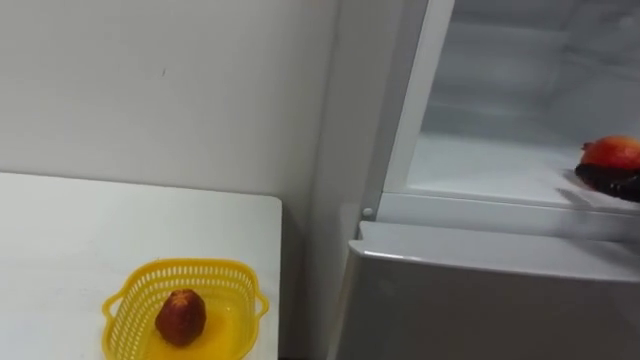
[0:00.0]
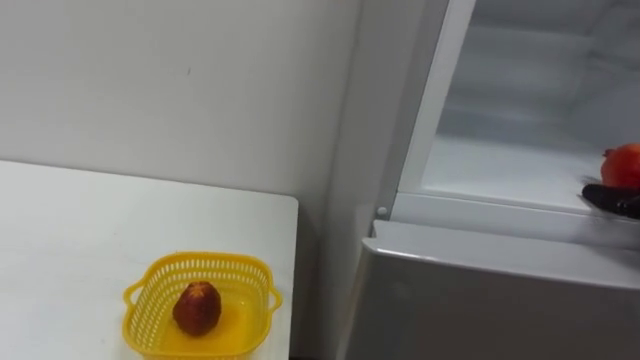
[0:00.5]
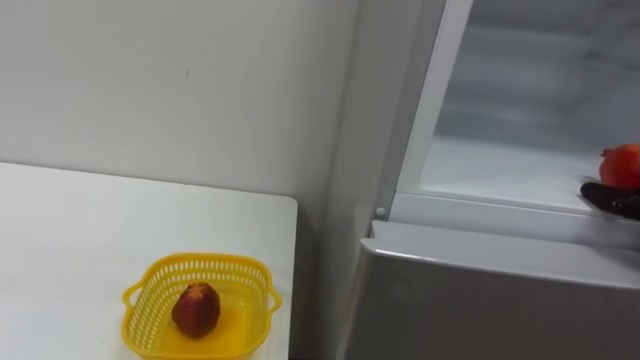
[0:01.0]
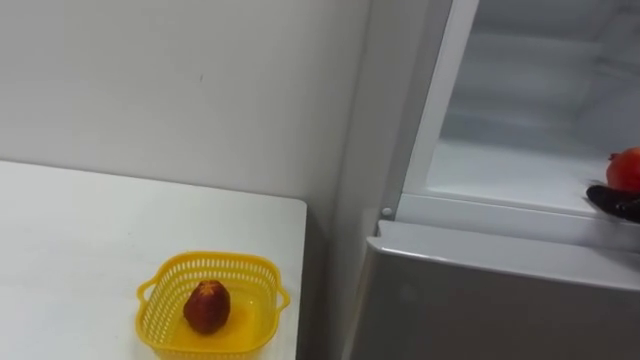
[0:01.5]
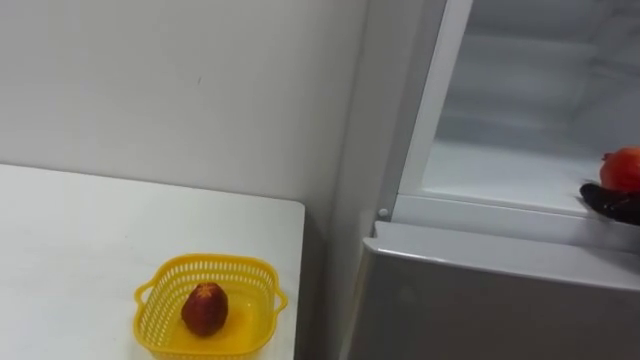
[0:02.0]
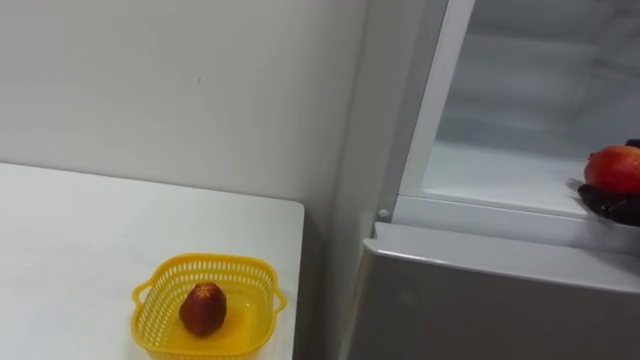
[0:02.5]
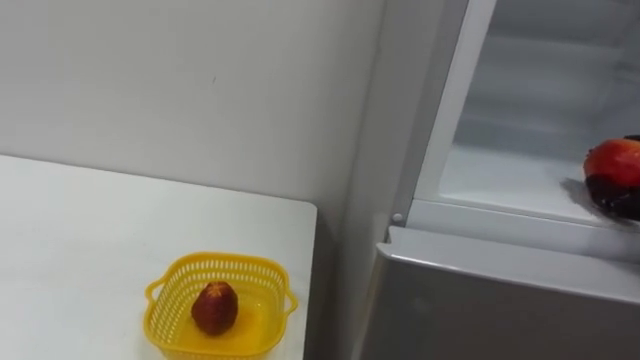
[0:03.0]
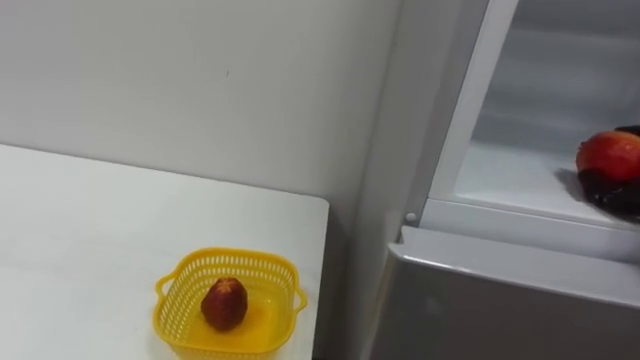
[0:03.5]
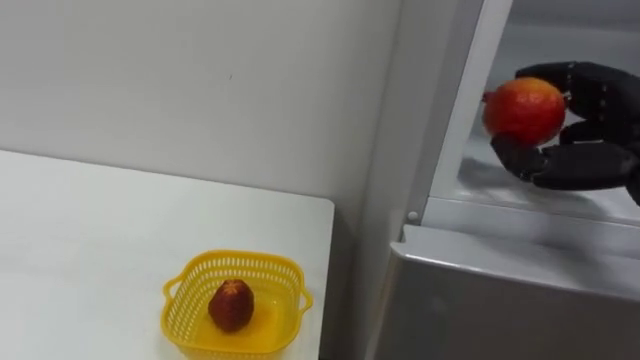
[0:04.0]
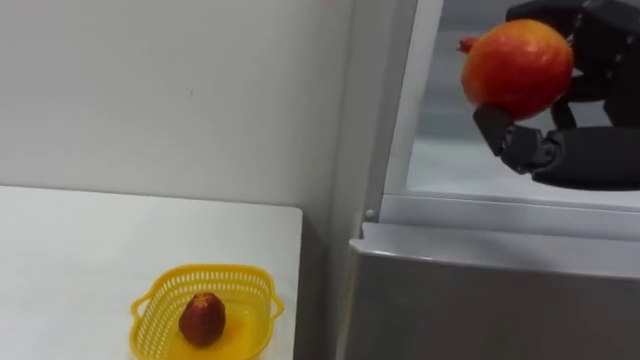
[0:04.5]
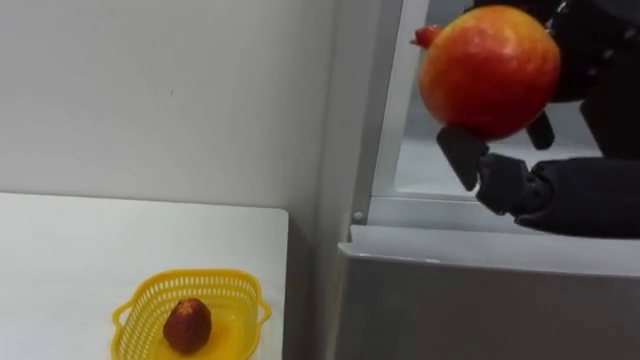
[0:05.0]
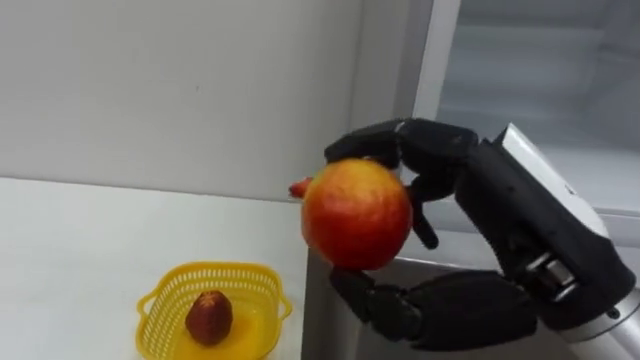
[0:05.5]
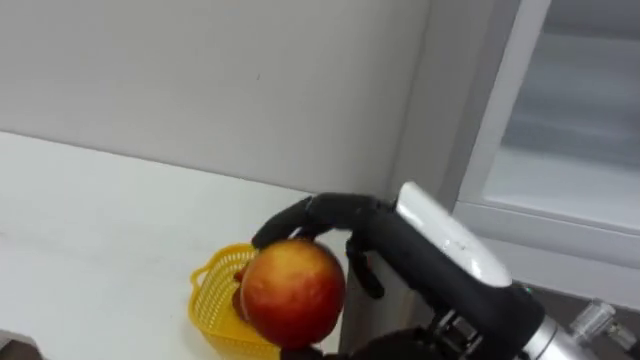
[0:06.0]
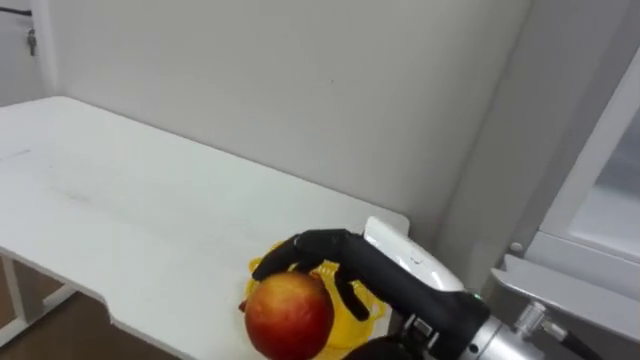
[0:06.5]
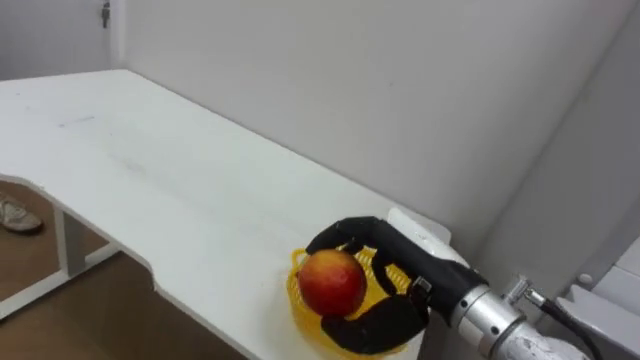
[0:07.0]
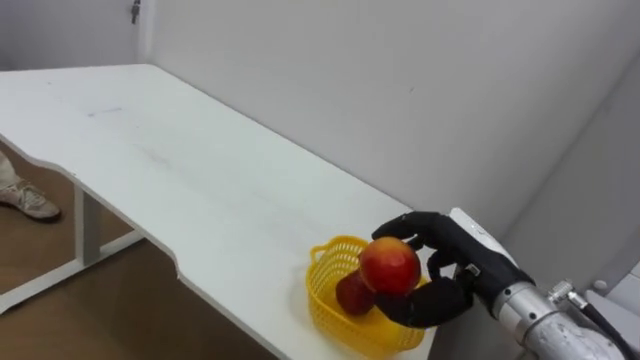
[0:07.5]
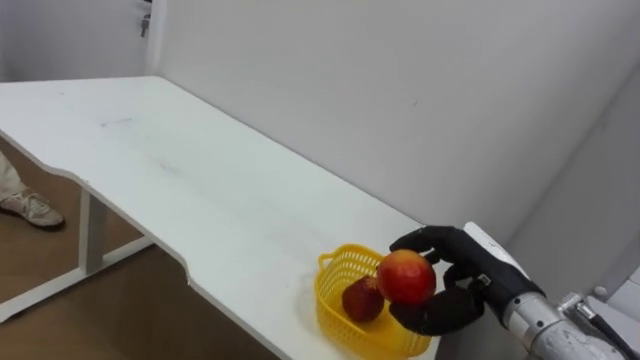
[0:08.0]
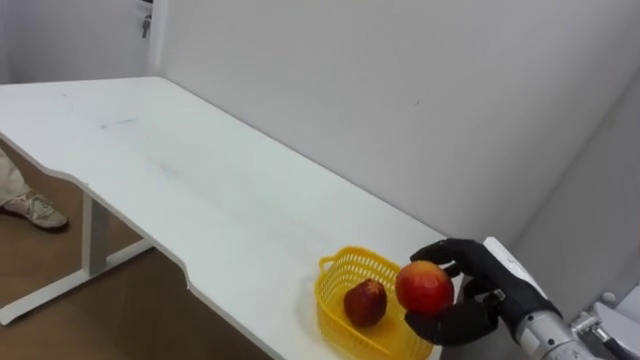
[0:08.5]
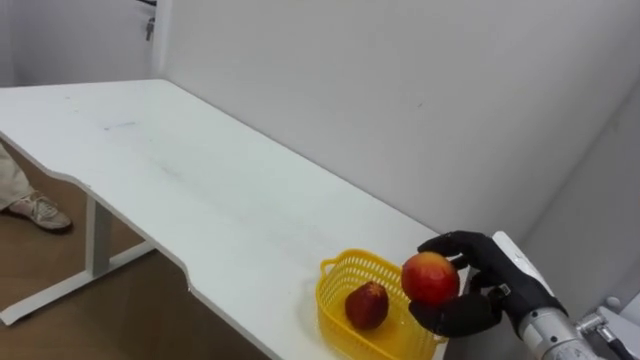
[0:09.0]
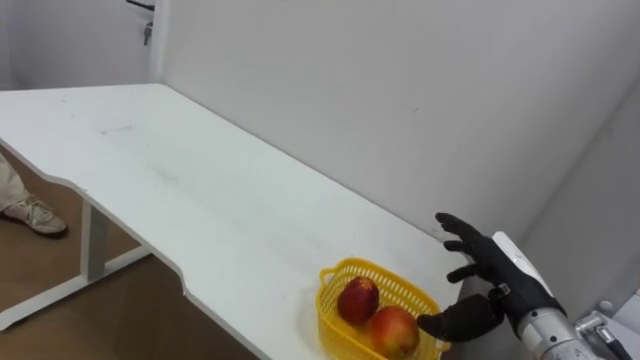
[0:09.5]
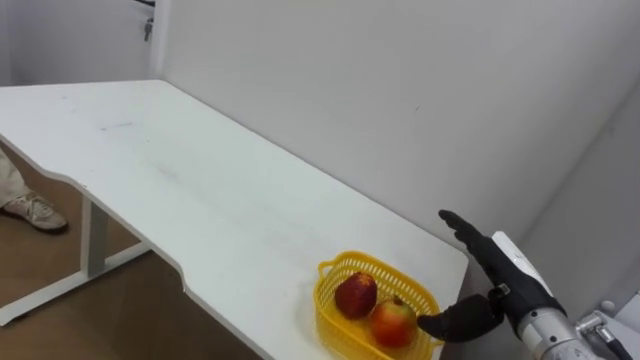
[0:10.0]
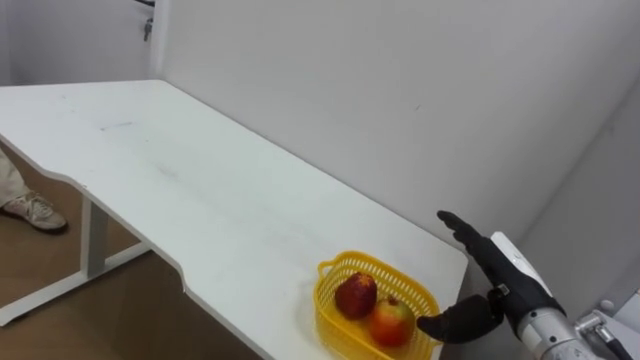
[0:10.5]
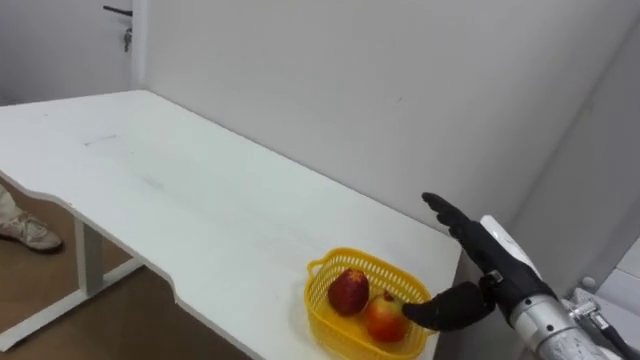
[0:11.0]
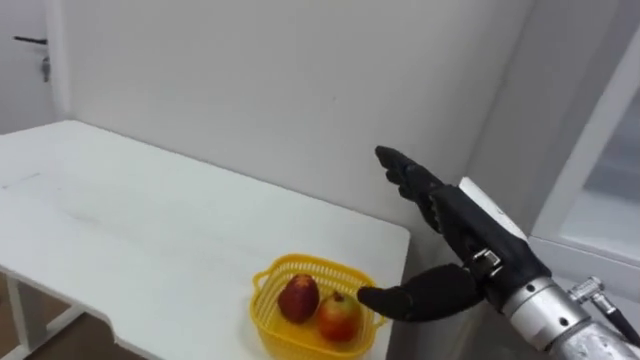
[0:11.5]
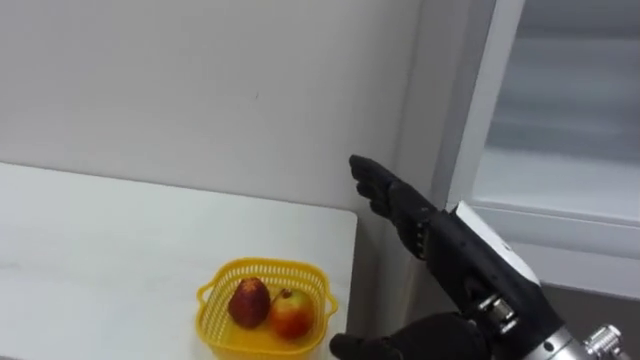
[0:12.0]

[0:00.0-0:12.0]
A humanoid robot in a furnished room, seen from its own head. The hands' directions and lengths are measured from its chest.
Task of the whole recording: Open the refrigerator door, take out the apple and the pomegranate, place them in the fruit basket on the left, and close the refrigerator door.
0:06.0 to 0:08.0: The right hand goes some 20 cm downward, forward and to the right.
0:08.0 to 0:10.0: The right hand opens.
0:10.0 to 0:12.0: The right hand is displaced upward, backward and to the left by some 15 cm.

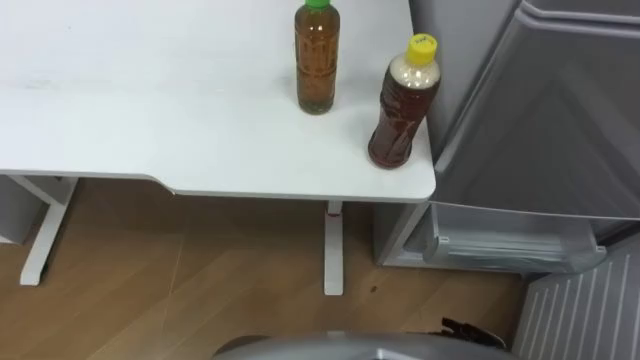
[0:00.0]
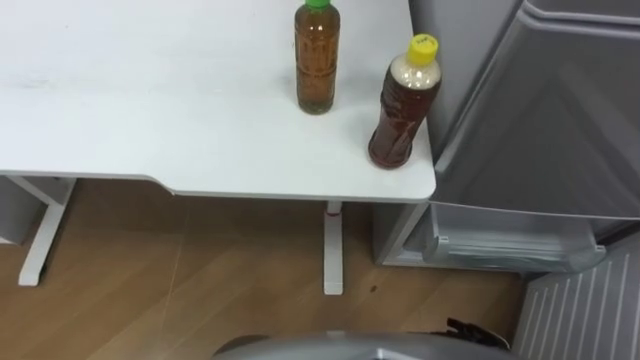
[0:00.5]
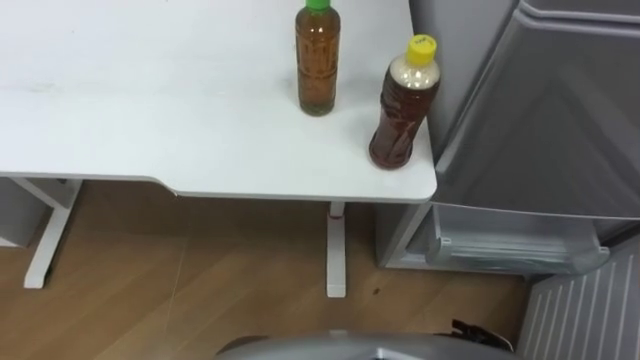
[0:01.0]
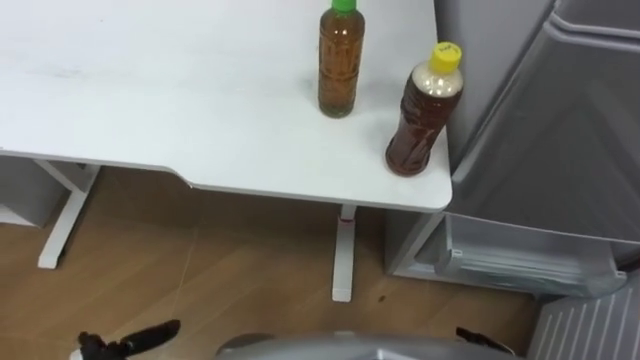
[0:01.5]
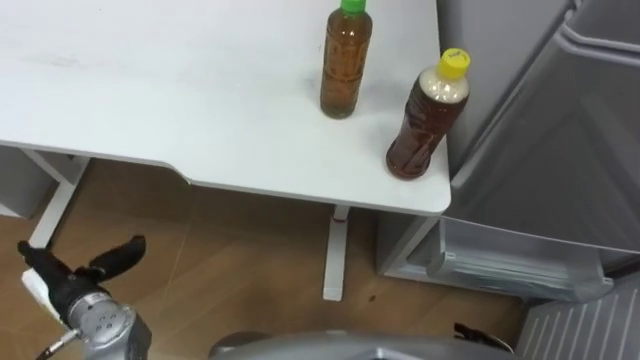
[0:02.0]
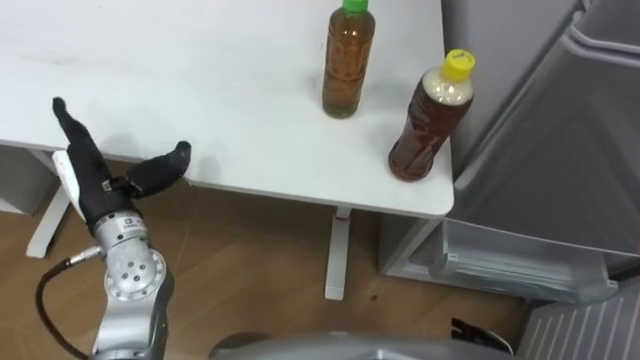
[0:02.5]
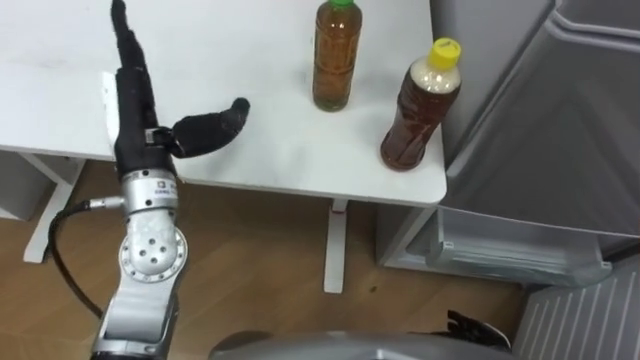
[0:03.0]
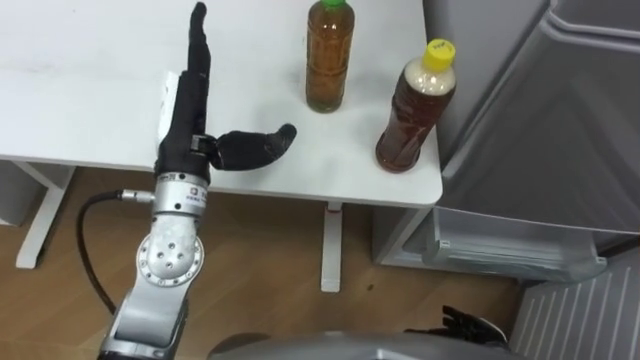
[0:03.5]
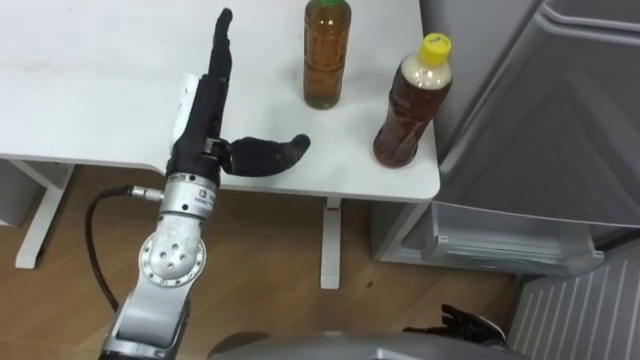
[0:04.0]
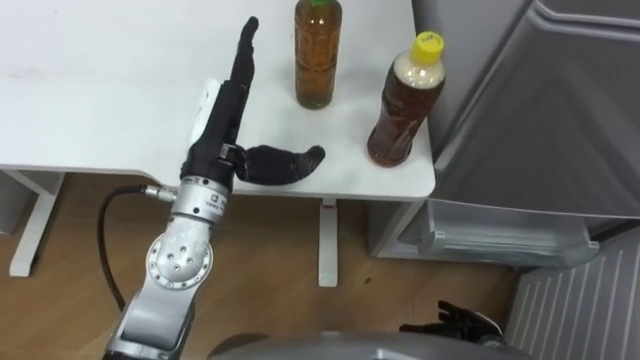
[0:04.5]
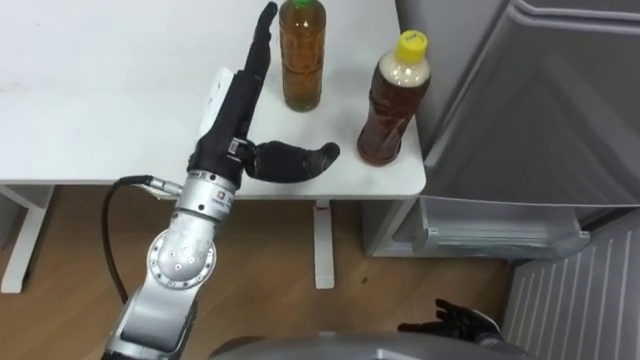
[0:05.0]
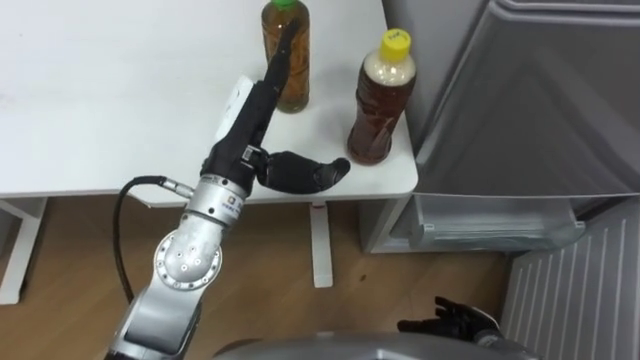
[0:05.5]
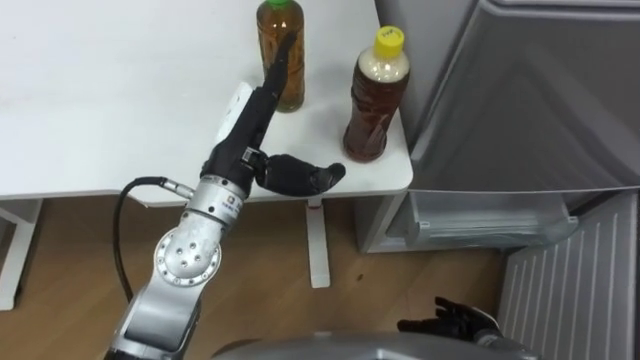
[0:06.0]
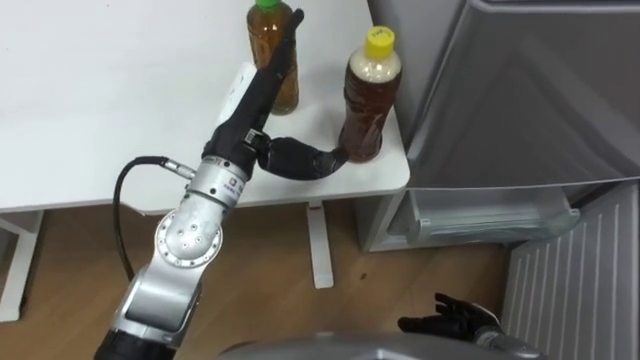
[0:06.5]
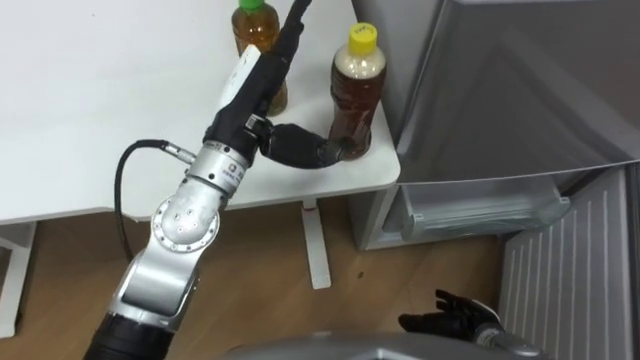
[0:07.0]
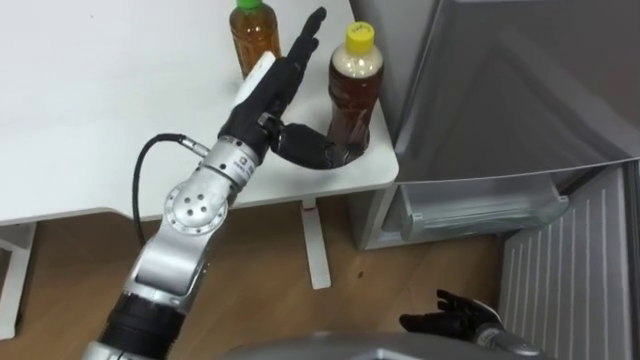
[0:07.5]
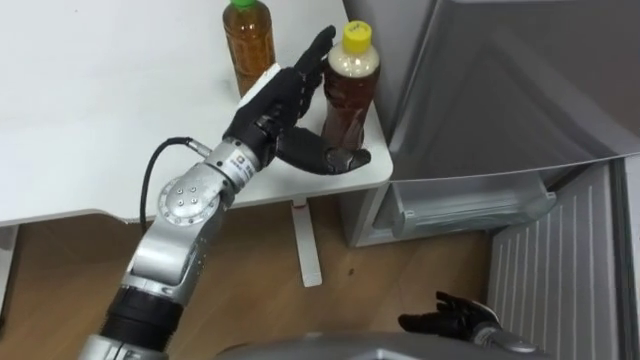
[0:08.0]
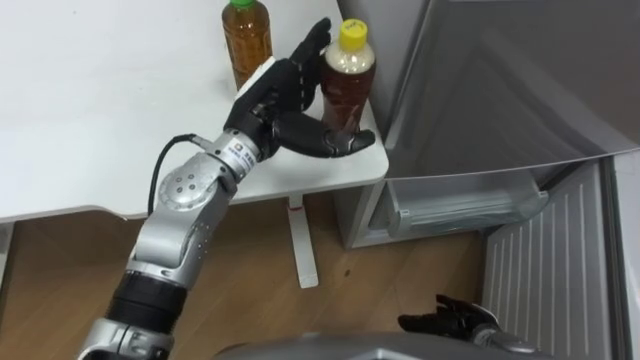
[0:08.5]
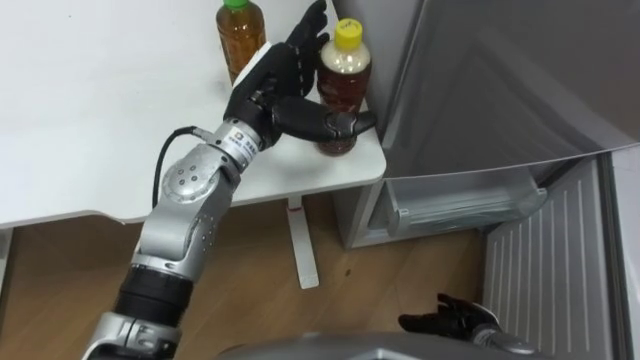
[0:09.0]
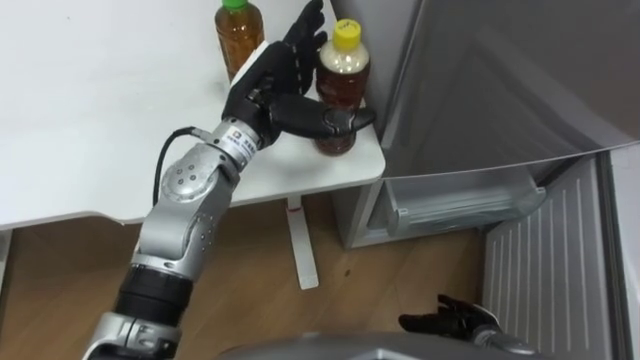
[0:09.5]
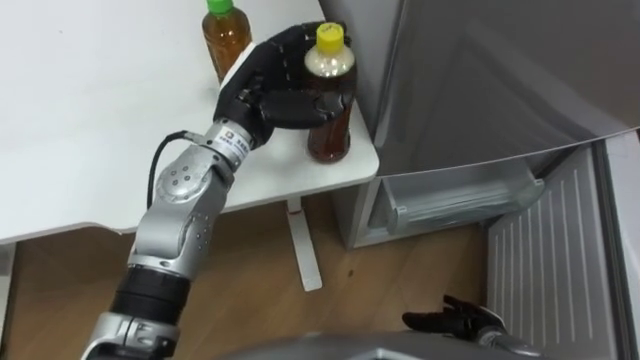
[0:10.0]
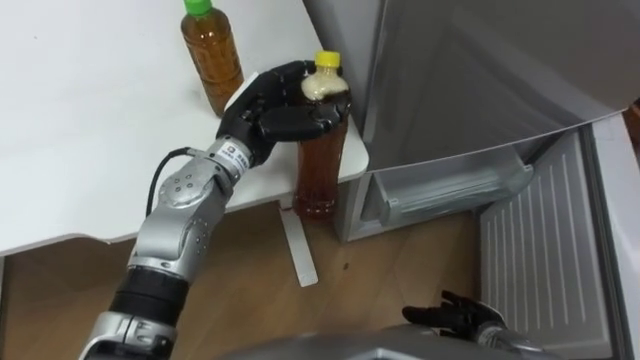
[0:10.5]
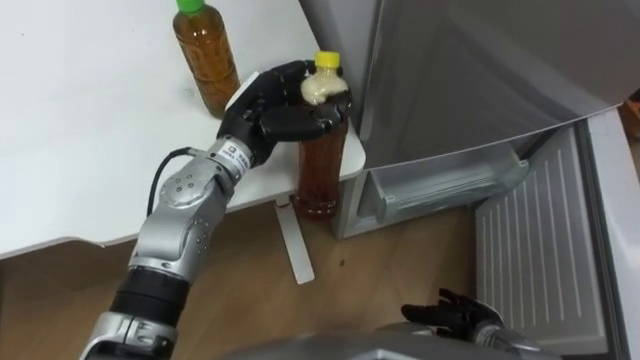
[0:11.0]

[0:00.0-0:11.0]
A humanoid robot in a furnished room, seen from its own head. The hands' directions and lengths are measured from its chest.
Task of the whole recording: Place the drink on the table on the bottom shelf of the refrigerator, then close the drawer and the refrigerator door.
0:02.0 to 0:03.5: The left hand moves upward, to the right and forward, roughly 30 cm.
0:03.5 to 0:05.5: The left hand shifts some 5 cm to the right.
0:09.0 to 0:11.0: The left hand closes up.
